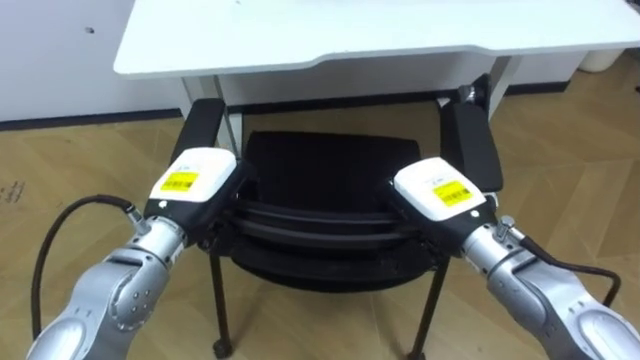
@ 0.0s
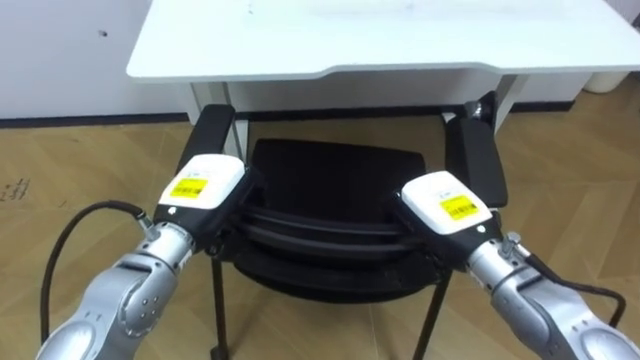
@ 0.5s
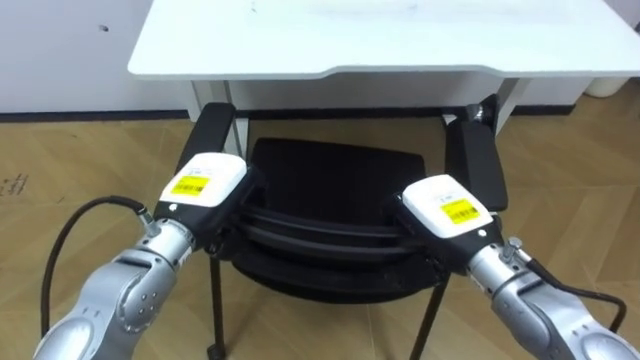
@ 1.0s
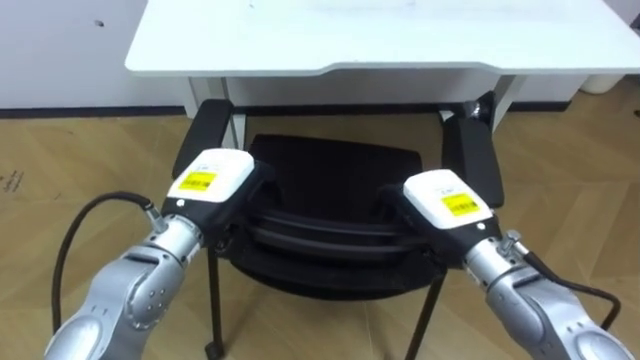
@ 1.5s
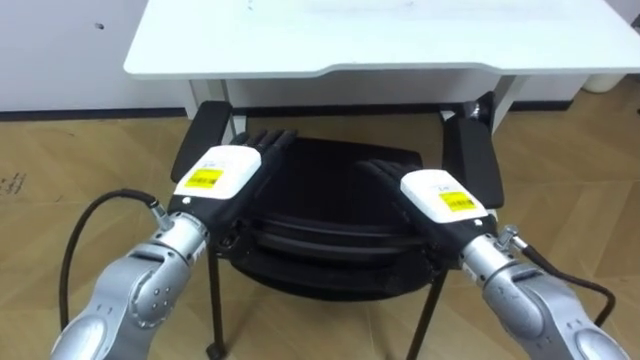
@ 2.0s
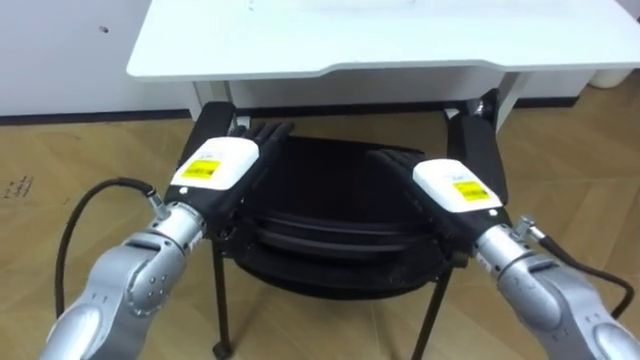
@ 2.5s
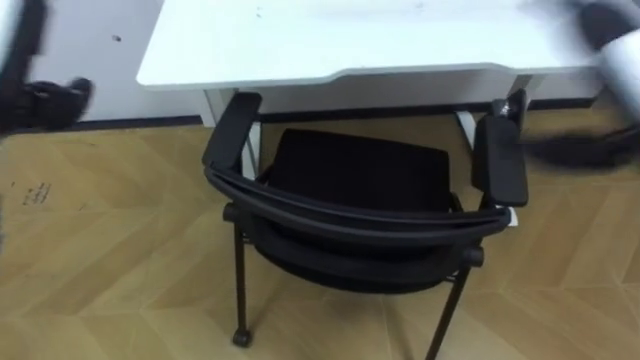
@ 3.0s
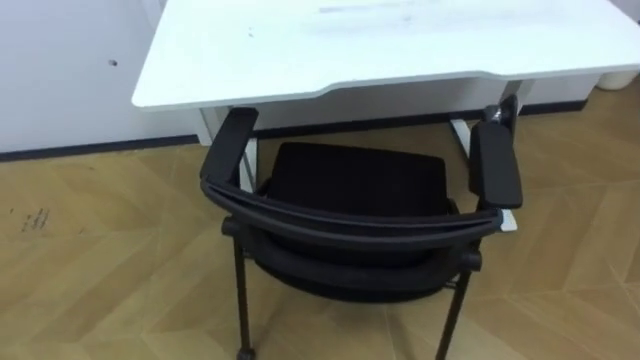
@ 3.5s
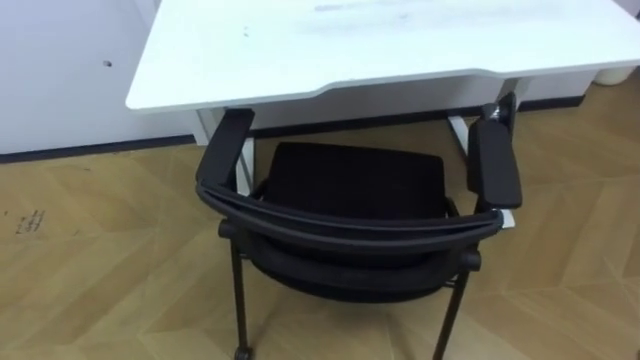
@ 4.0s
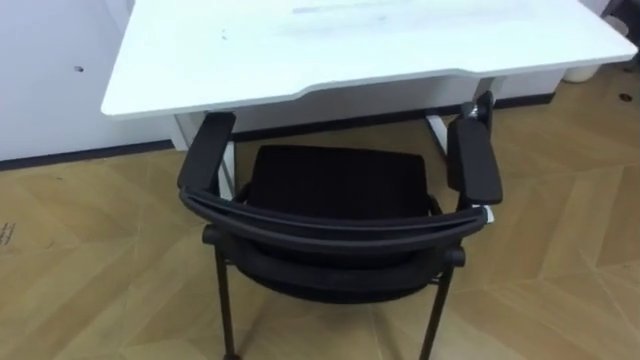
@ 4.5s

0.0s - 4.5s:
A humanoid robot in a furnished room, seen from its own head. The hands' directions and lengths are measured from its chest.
Task of the whole recording: Push the chair under the table.
0.0s - 2.0s: The left hand opens its fingers. The right hand opens up.

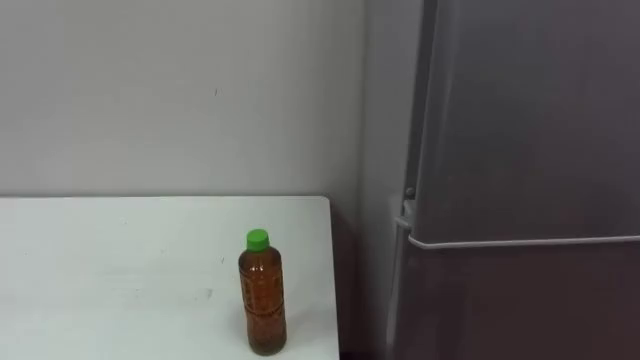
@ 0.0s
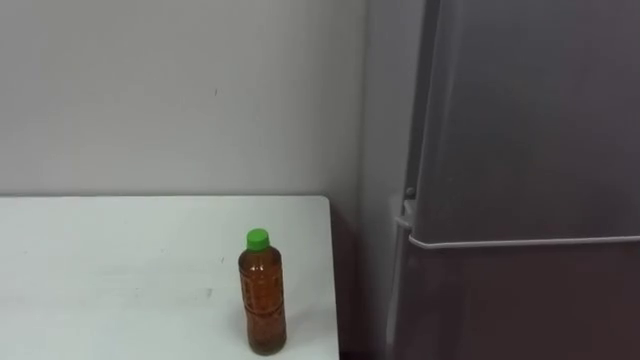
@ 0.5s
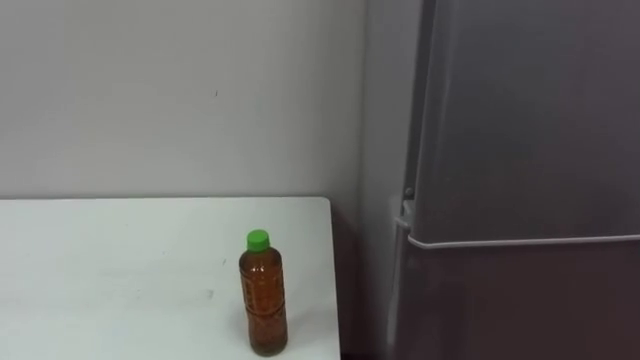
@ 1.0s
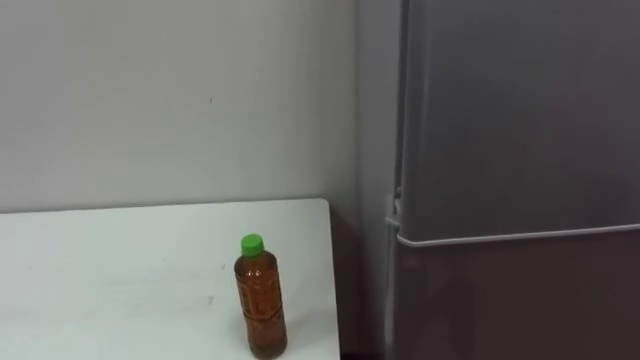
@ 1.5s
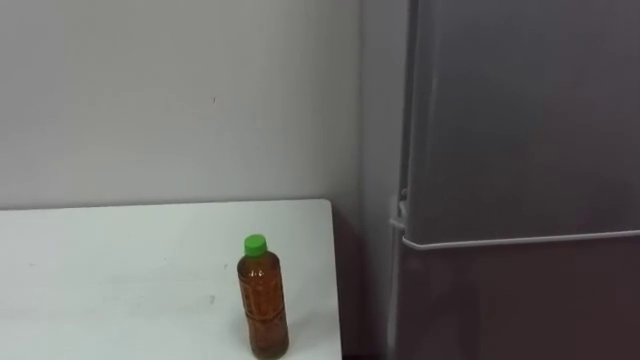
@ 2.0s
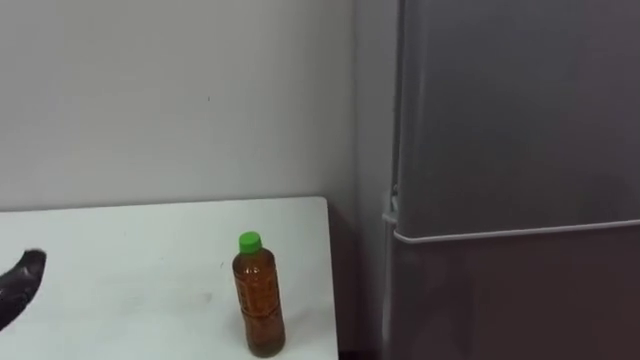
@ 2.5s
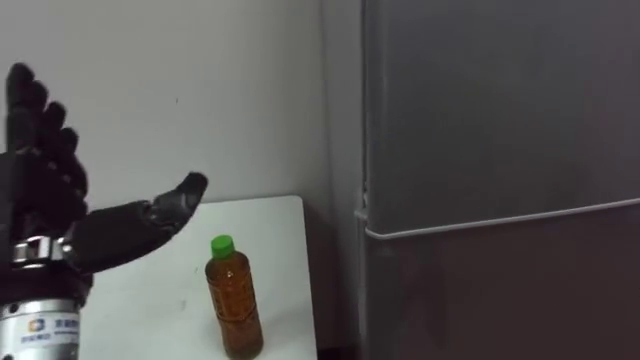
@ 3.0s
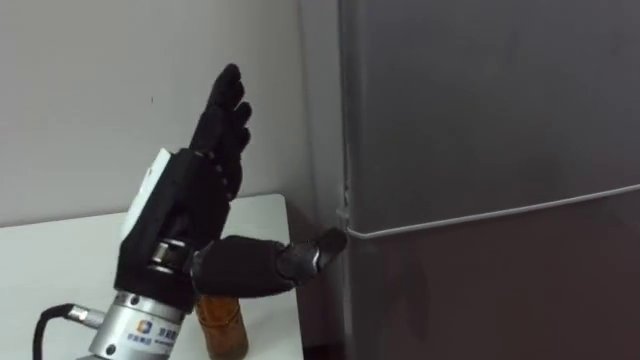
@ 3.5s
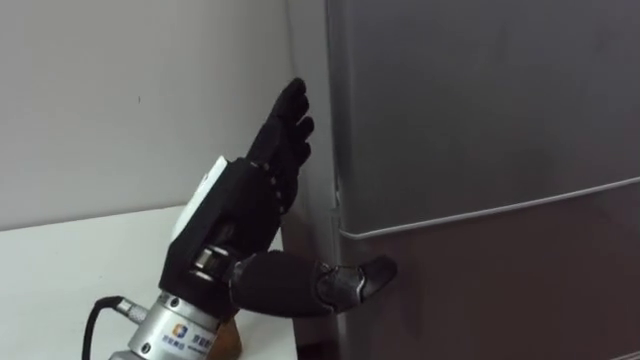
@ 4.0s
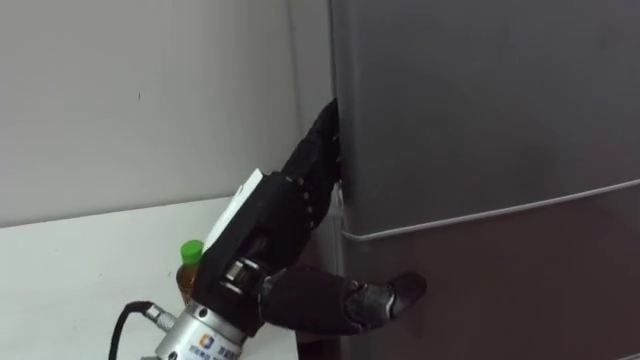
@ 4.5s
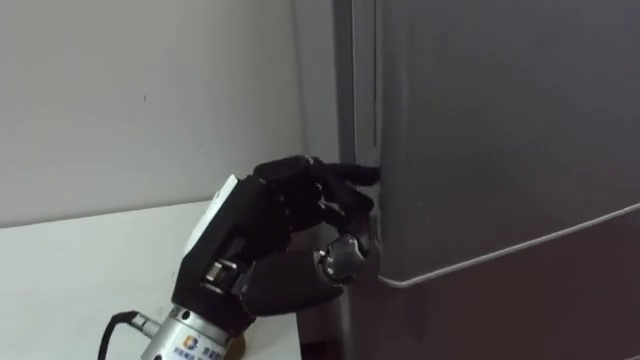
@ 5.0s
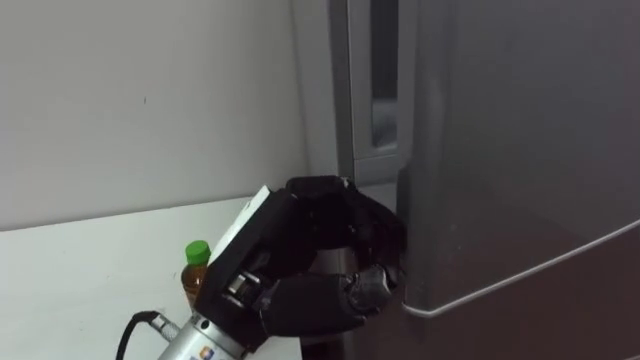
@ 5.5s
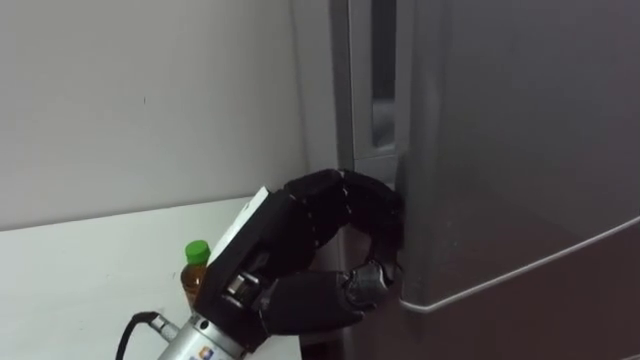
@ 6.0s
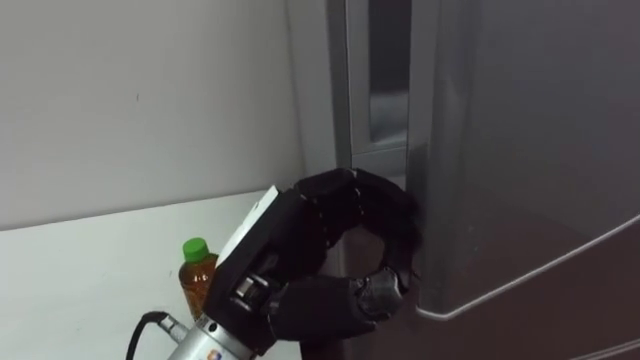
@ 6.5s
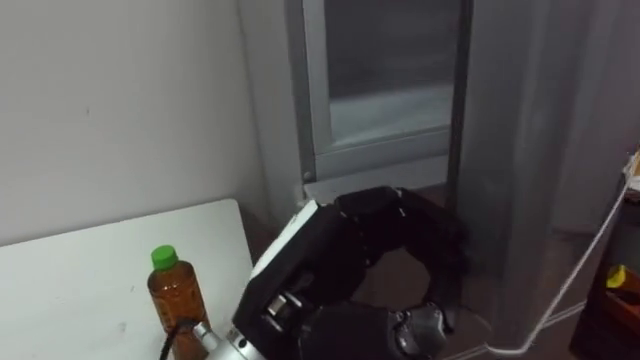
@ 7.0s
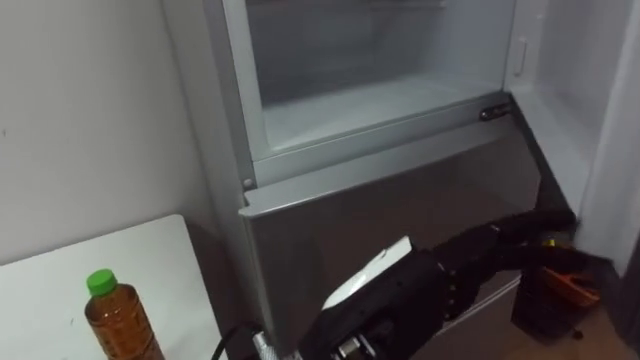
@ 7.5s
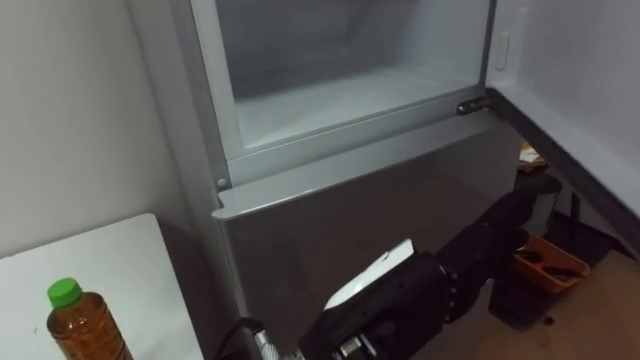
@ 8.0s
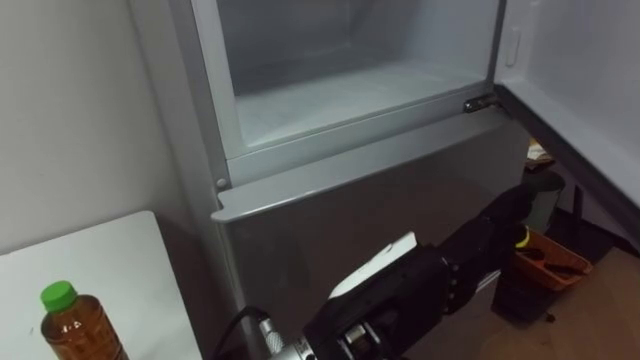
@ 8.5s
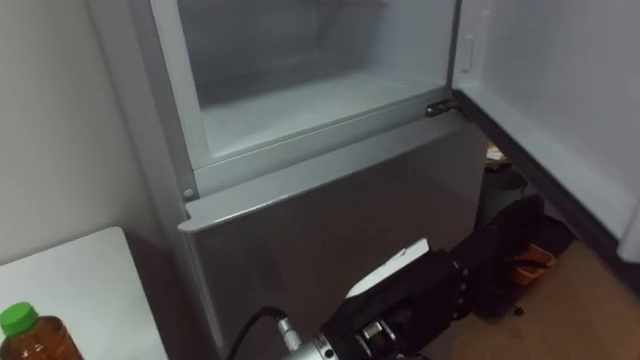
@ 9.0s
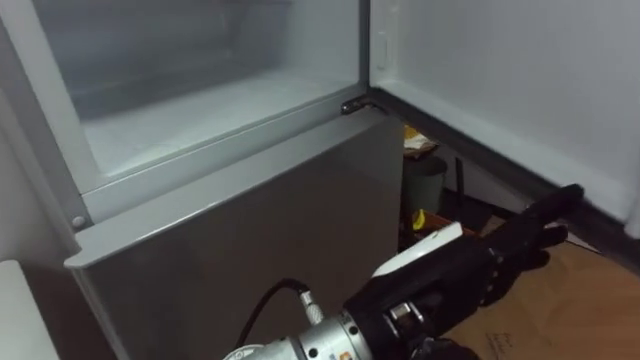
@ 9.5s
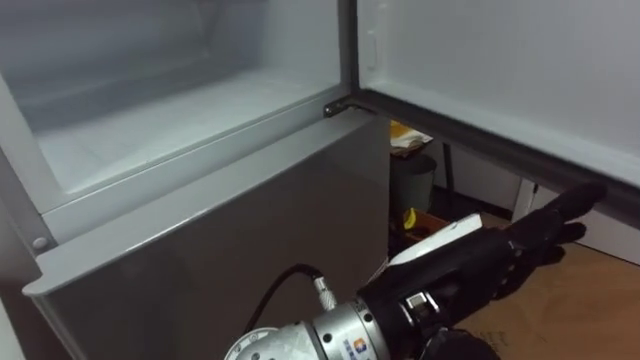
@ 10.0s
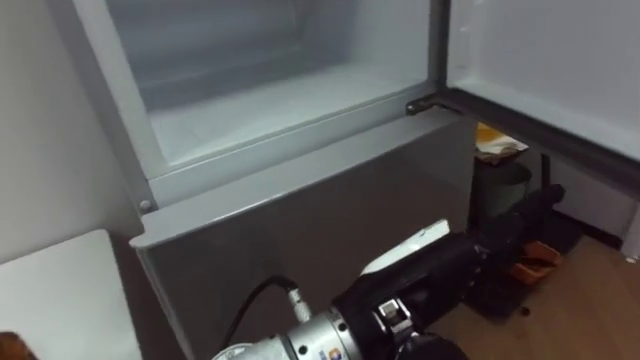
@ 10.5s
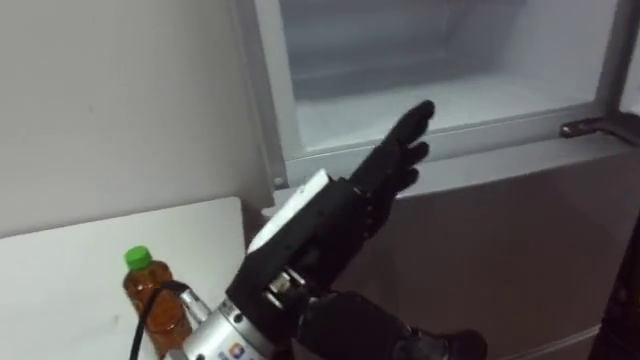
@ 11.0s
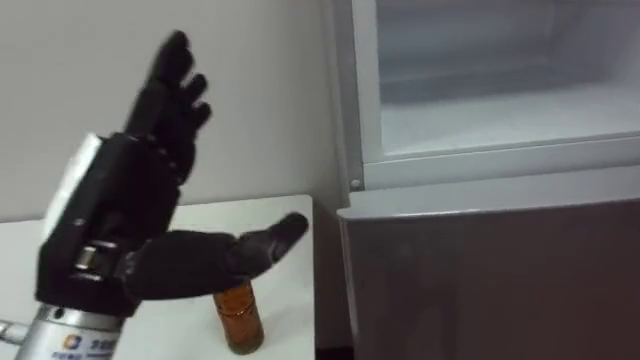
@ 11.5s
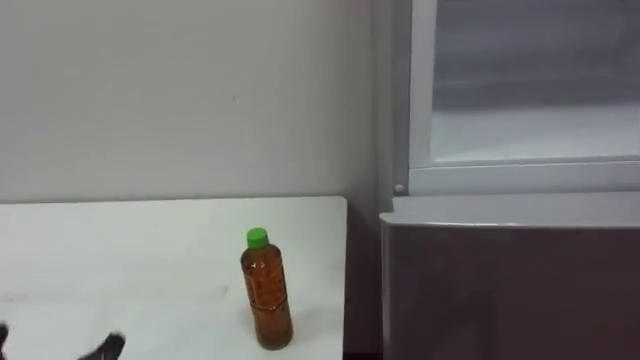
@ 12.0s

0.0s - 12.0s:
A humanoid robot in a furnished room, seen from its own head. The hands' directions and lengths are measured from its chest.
Task of the whole recording: Open the upper refrigerator door, put the drink from the table into the refrigerator, and then close the refrigerator door.
4.0s - 6.0s: The left hand closes, then opens again.
6.0s - 8.0s: The left hand shifts roughly 10 cm to the right.
8.0s - 10.0s: The left hand shifts by approximately 5 cm.

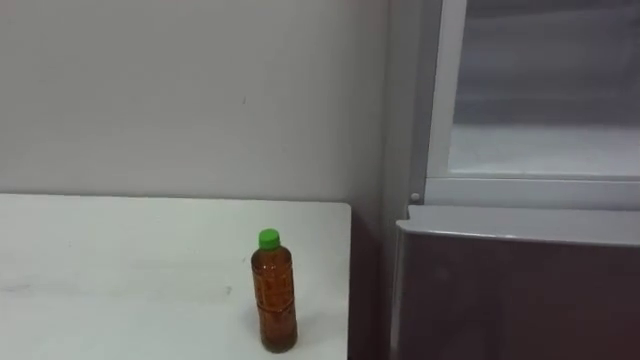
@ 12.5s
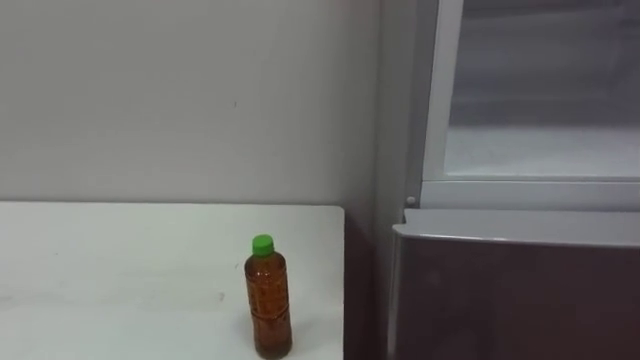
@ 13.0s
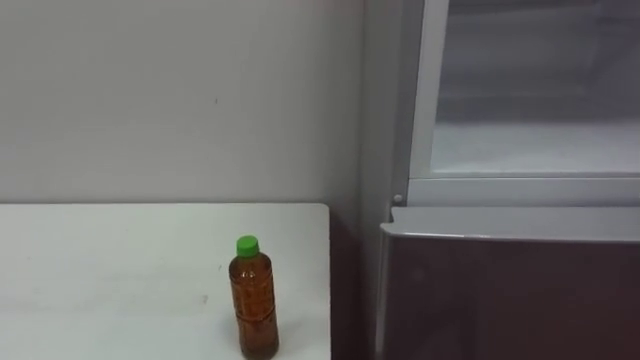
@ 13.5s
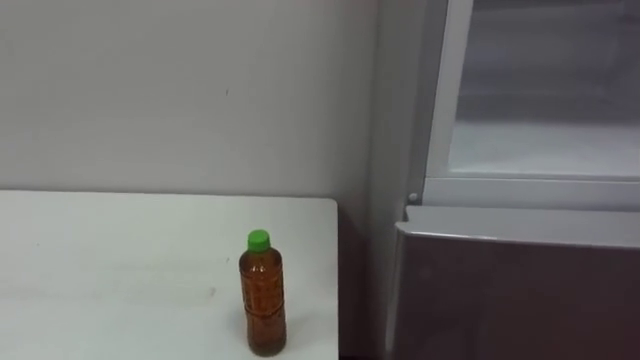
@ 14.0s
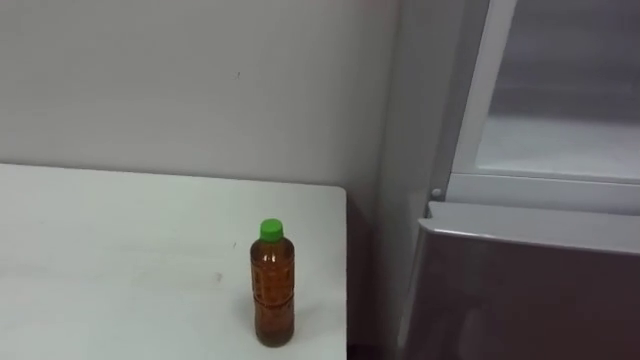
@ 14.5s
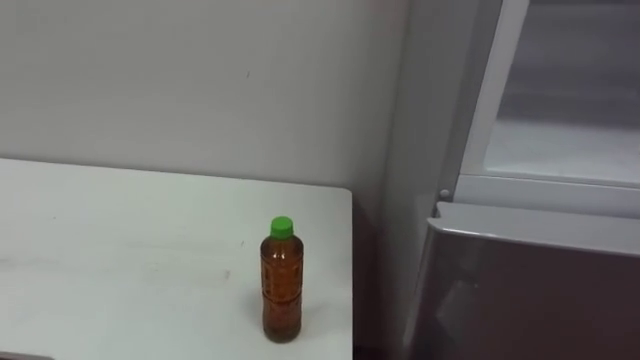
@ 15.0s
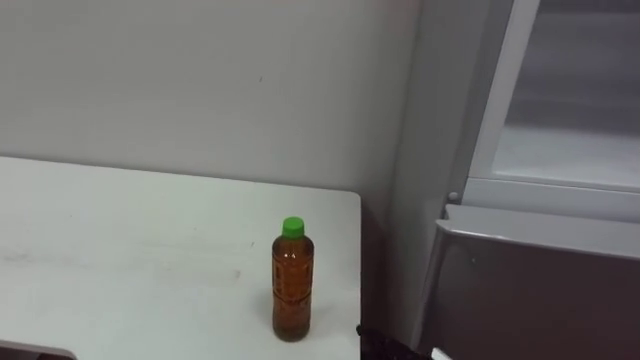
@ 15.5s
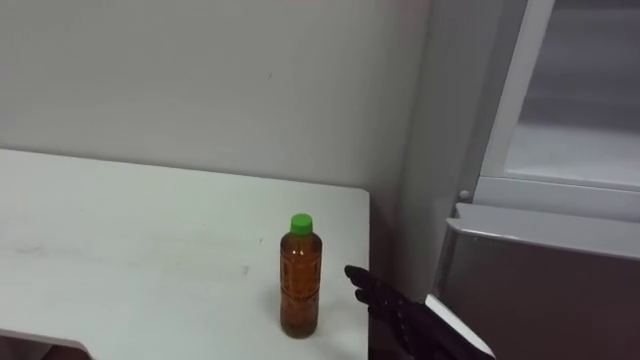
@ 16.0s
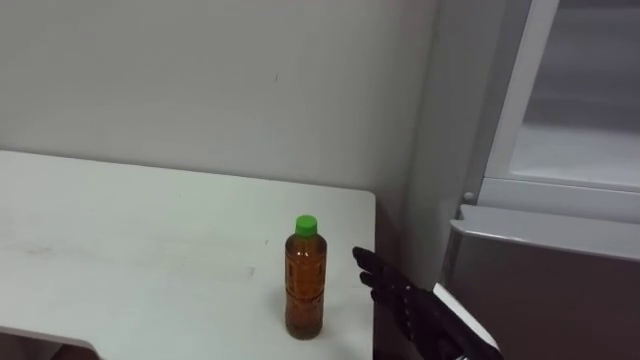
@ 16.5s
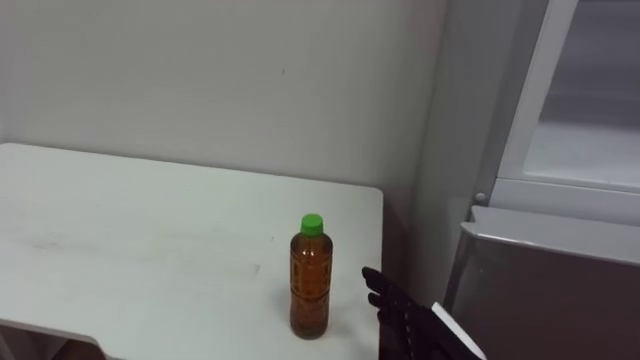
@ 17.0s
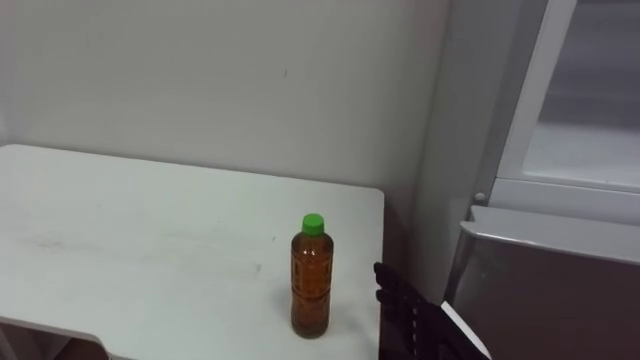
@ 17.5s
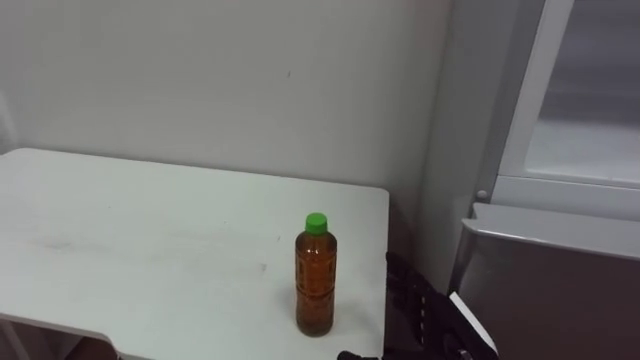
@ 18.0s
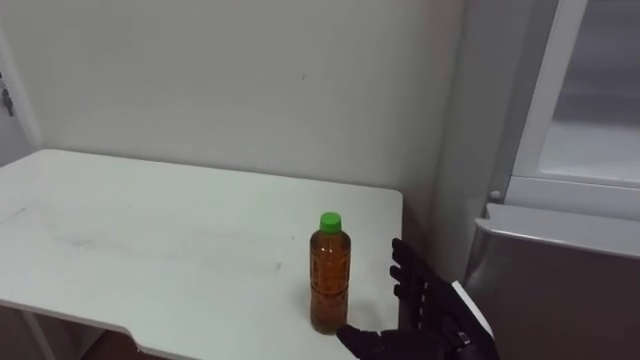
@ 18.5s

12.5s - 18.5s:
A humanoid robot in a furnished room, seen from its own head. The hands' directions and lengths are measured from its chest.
Task of the whole recording: Open the upper refrigerator door, put the drink from the table into the refrigerator, and then close the refrigerator door.
16.5s - 18.5s: The right hand ends up roughly 5 cm from where it was.
